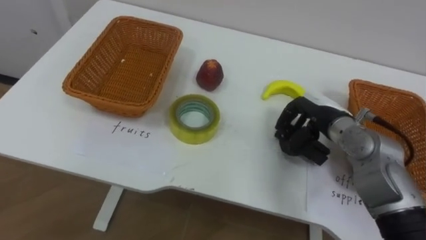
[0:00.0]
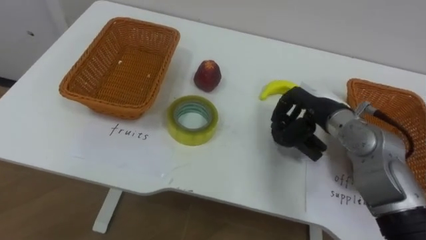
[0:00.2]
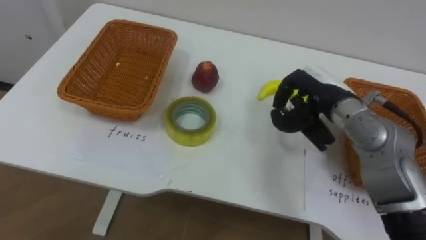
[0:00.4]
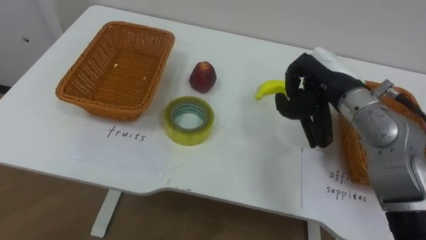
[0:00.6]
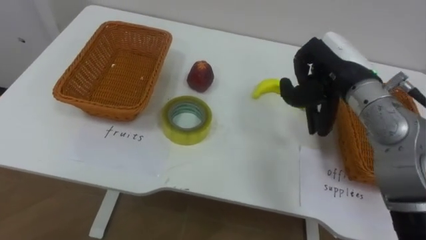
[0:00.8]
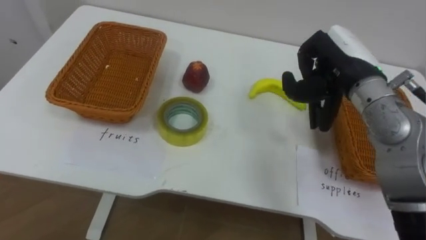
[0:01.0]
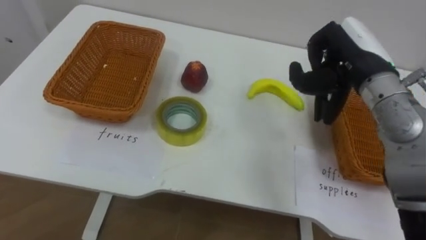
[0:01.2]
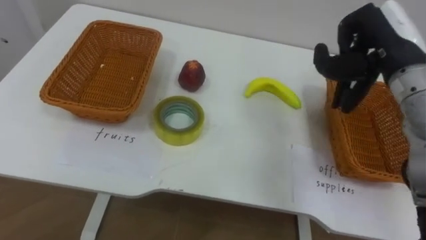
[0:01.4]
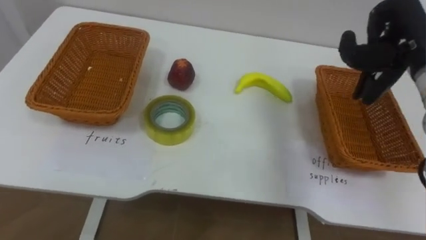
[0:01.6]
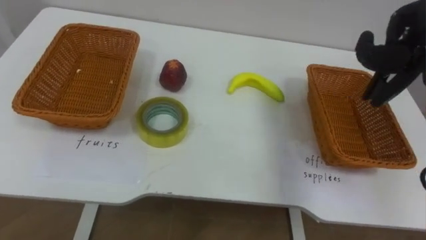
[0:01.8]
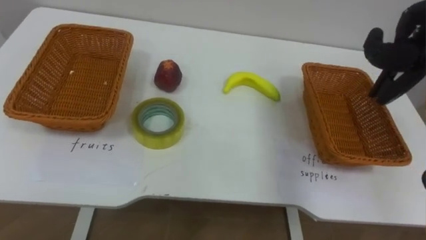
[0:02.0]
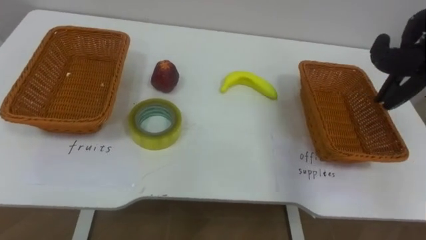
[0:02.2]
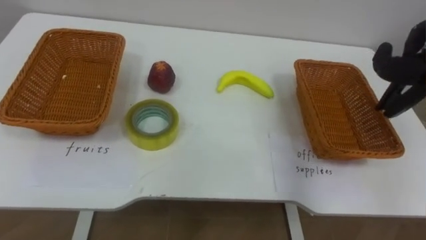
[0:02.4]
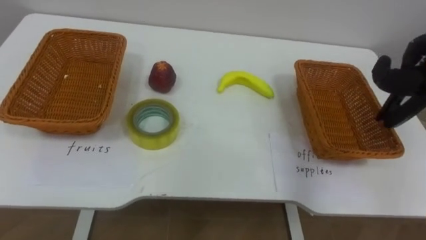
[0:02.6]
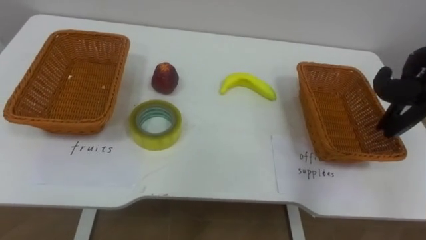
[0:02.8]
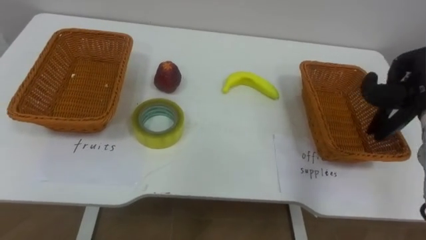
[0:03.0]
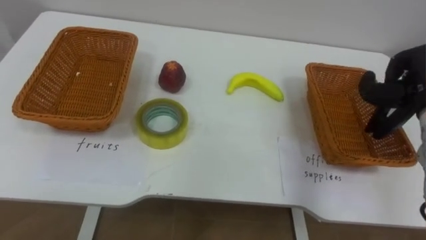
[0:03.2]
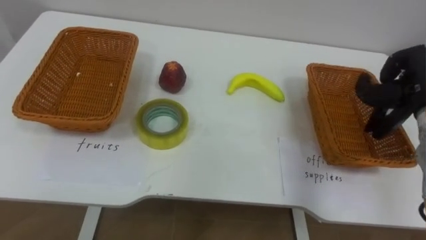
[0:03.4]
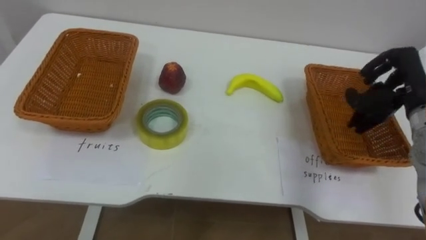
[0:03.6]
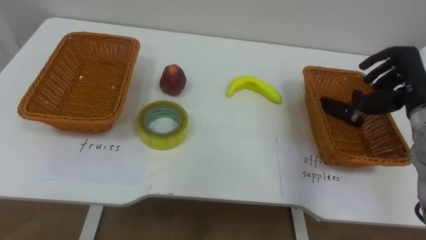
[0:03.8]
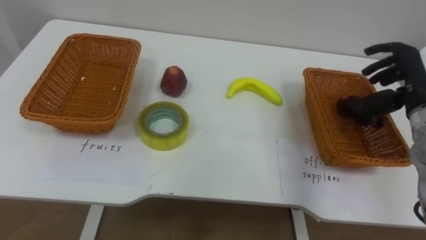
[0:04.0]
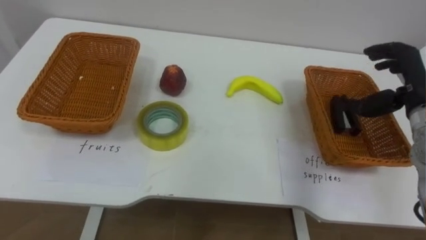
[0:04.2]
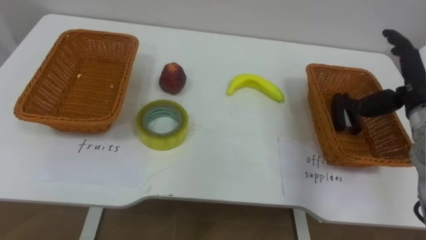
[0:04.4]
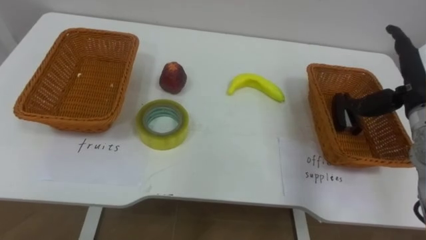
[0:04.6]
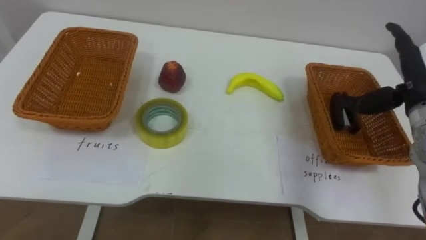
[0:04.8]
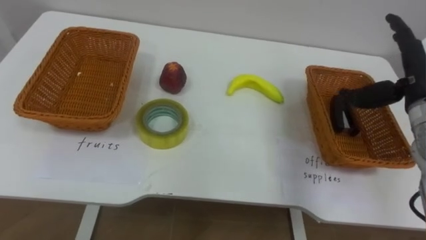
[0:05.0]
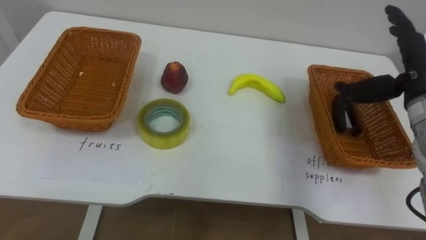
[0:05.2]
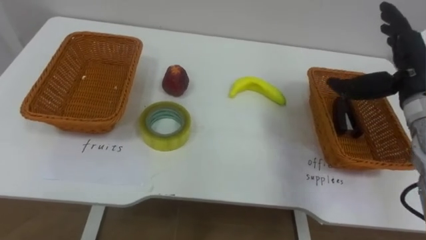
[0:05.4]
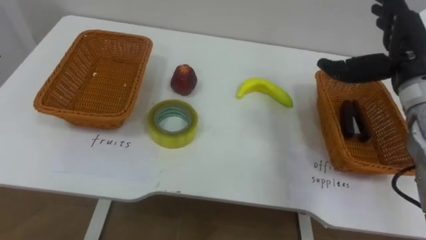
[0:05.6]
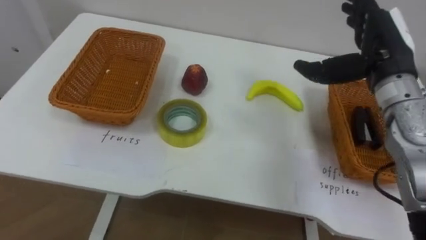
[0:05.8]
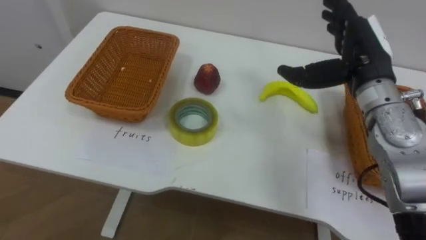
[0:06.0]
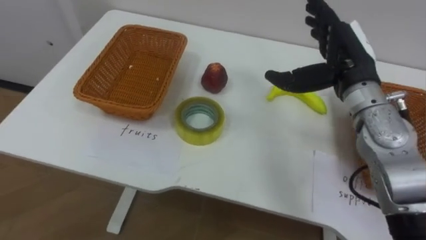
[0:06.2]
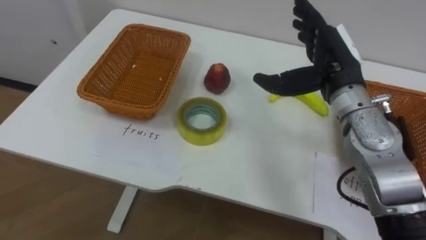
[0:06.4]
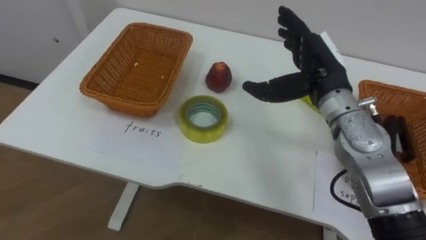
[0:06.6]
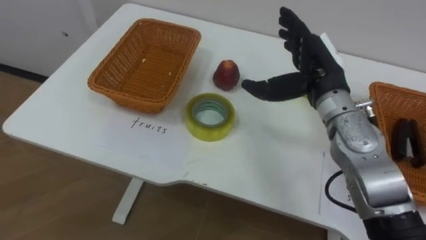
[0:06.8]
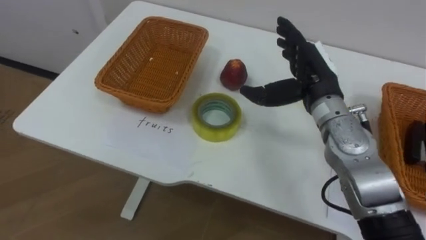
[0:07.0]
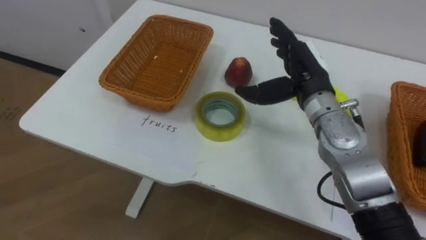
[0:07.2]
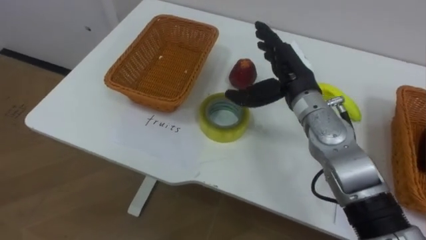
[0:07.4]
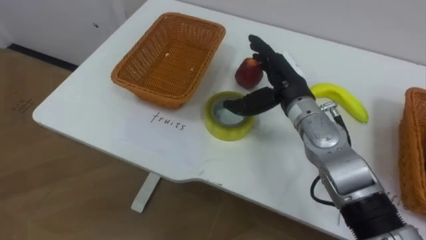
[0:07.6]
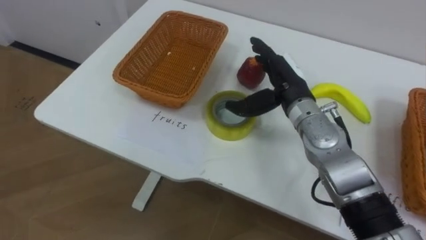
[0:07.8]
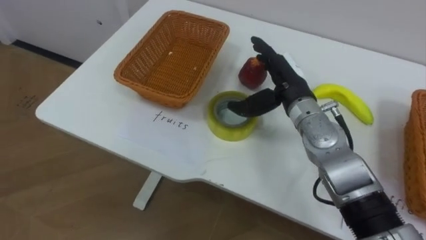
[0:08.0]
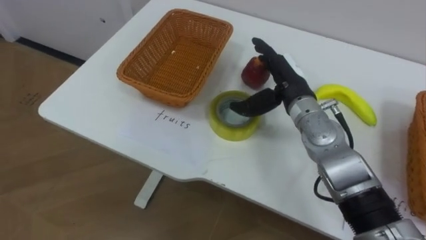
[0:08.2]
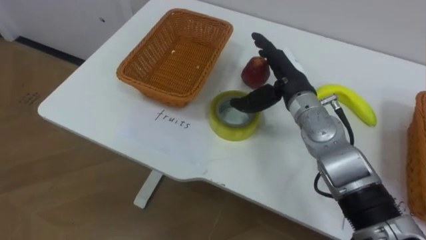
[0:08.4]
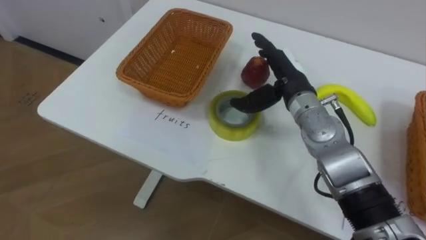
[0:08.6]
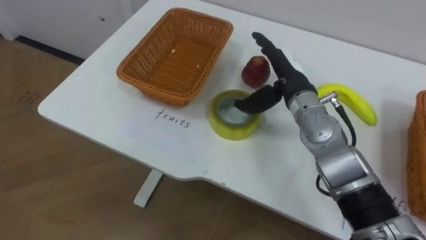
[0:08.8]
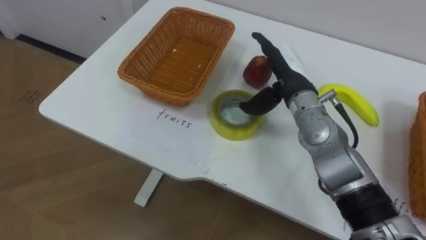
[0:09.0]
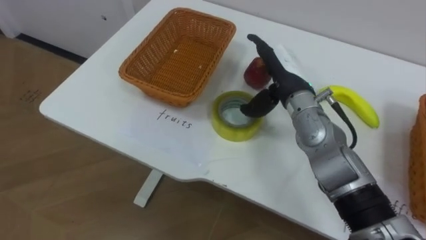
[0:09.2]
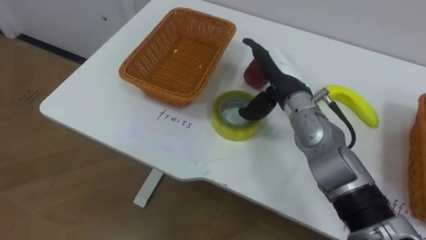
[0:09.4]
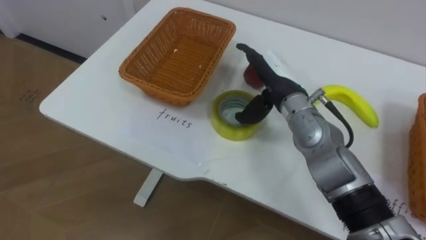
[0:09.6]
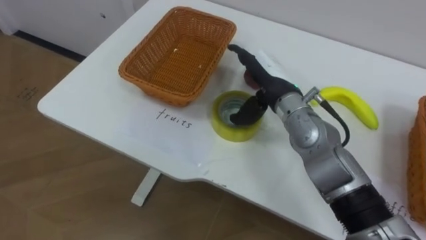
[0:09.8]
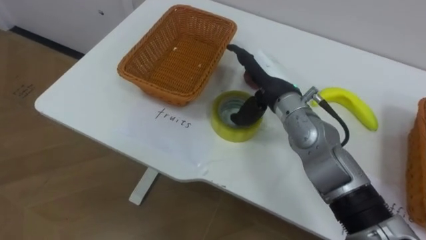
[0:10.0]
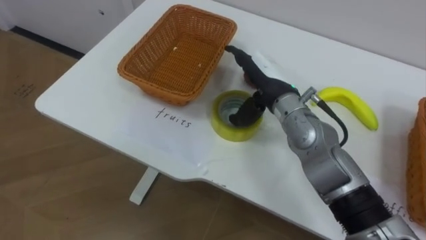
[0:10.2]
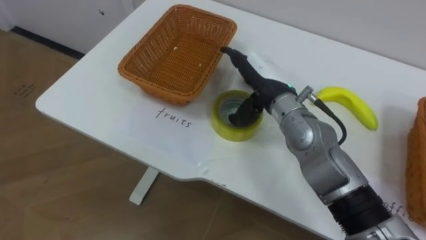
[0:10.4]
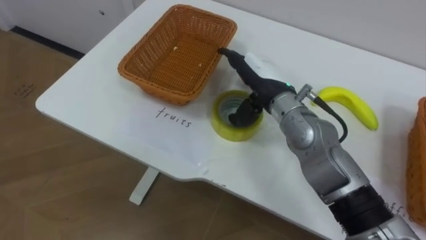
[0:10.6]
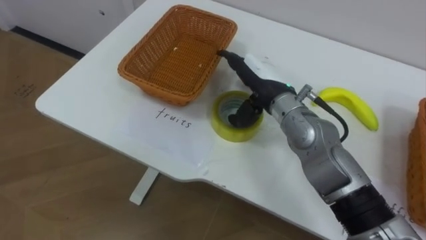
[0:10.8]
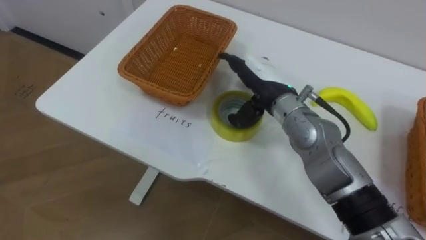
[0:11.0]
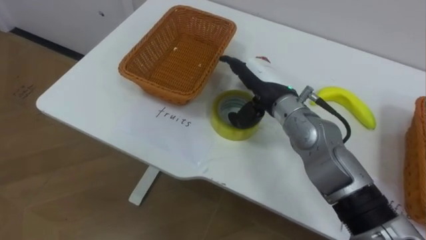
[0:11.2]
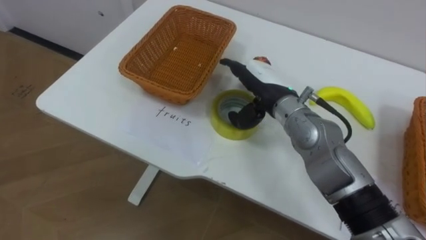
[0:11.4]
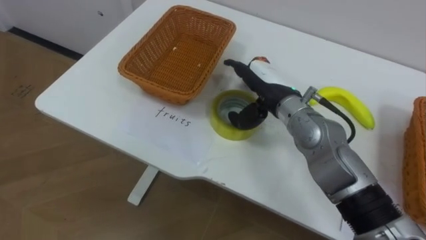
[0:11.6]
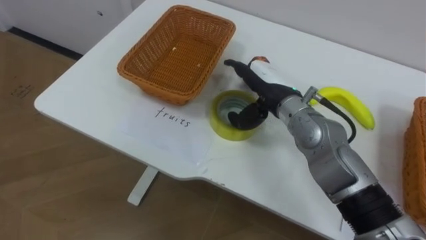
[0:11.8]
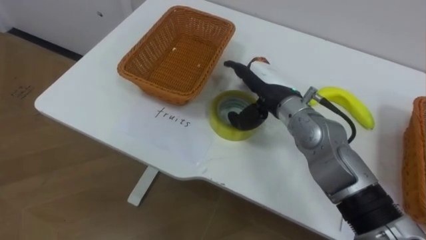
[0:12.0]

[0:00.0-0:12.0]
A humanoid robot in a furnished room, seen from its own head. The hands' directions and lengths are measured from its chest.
Task of the whole recording: Separate the items on the table and place them into the two baskets.
0:00.0 to 0:01.6: The right hand is displaced upward and to the right by roughly 20 cm, and closes.
0:04.4 to 0:06.0: The right hand shifts approximately 10 cm to the left.
0:06.0 to 0:07.6: The right hand moves to the left and downward, roughly 10 cm.

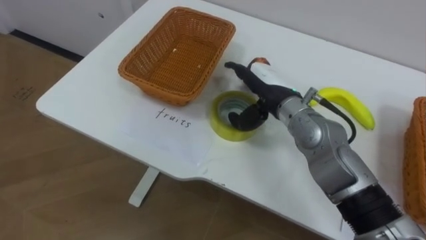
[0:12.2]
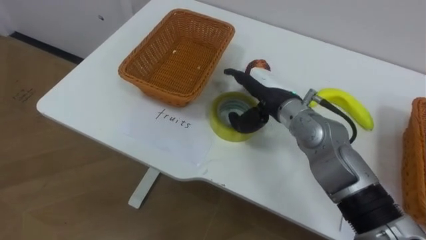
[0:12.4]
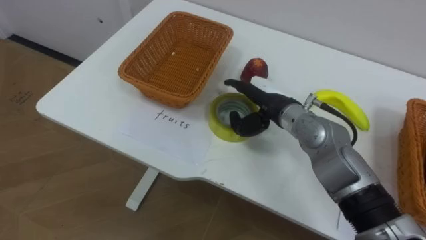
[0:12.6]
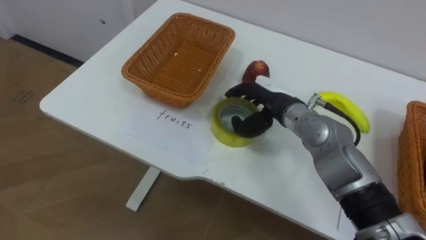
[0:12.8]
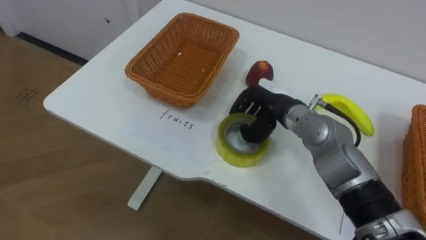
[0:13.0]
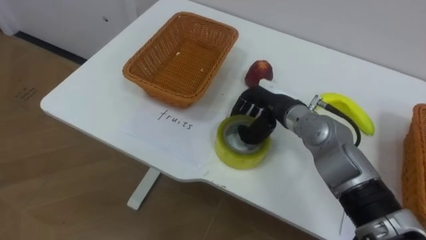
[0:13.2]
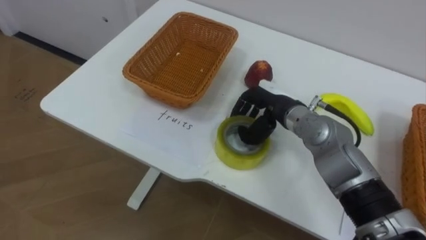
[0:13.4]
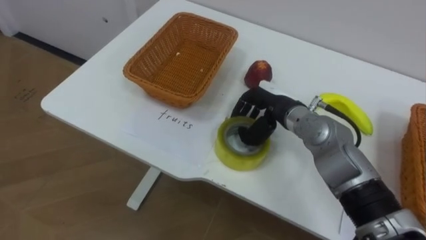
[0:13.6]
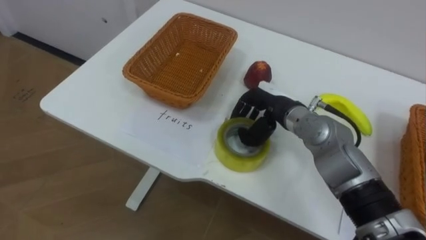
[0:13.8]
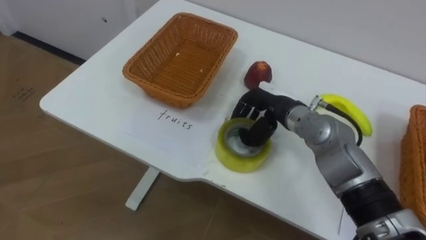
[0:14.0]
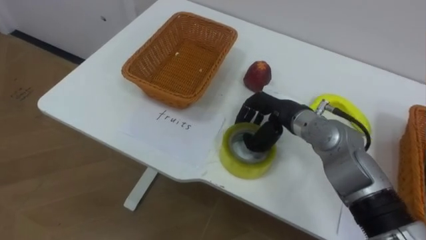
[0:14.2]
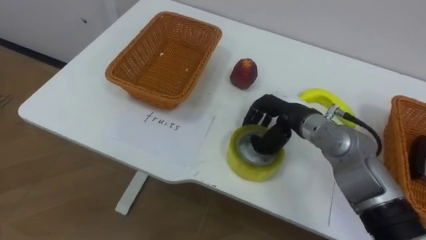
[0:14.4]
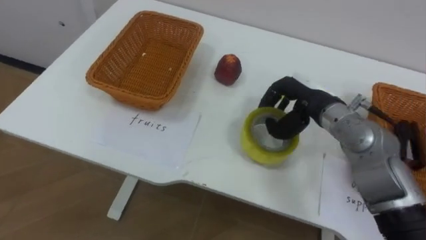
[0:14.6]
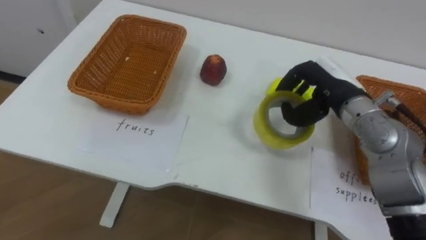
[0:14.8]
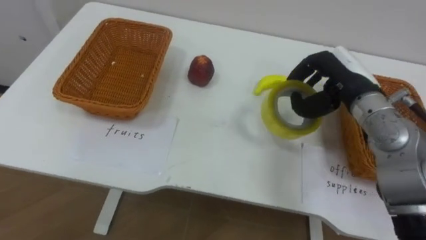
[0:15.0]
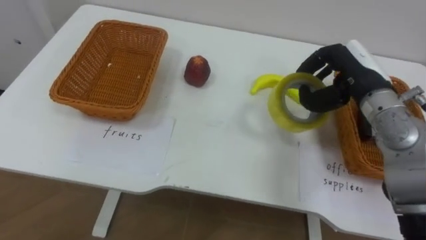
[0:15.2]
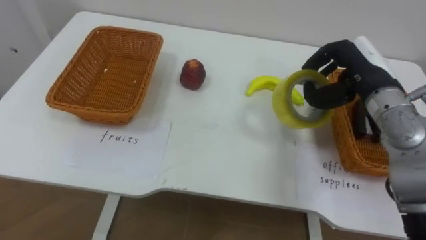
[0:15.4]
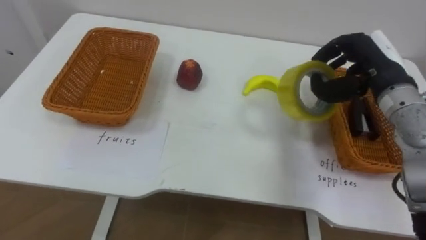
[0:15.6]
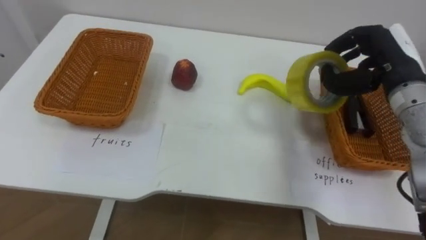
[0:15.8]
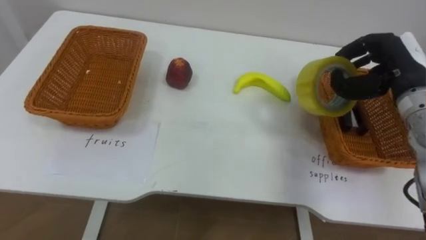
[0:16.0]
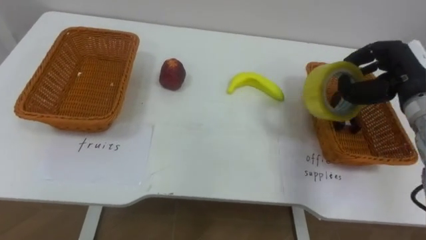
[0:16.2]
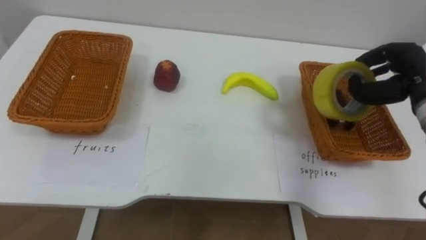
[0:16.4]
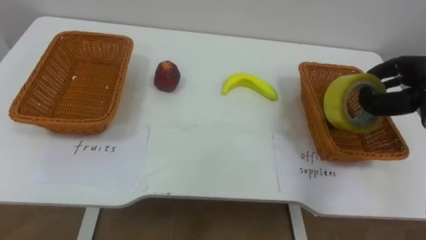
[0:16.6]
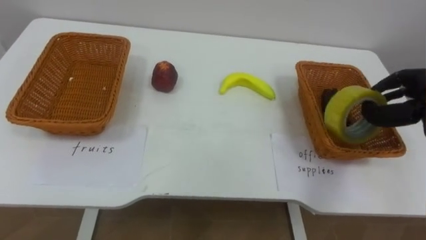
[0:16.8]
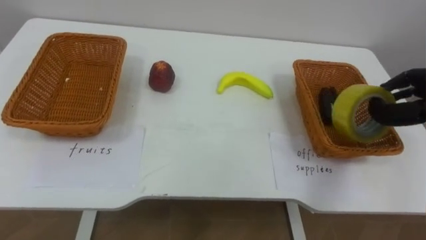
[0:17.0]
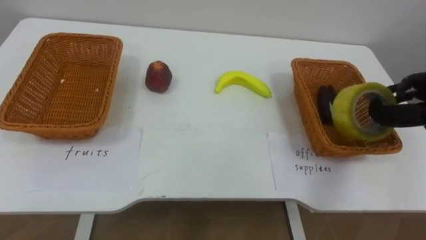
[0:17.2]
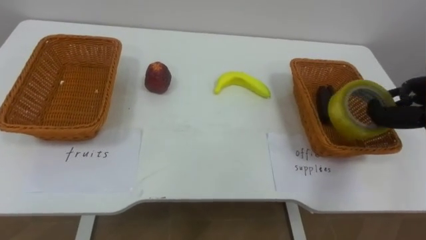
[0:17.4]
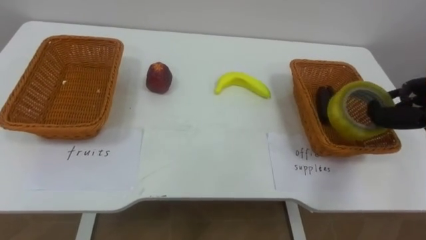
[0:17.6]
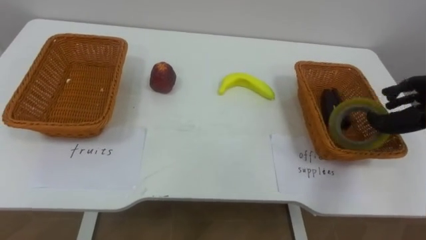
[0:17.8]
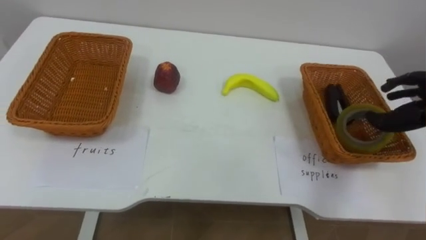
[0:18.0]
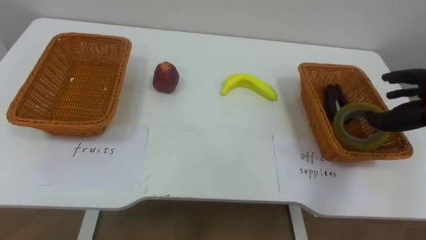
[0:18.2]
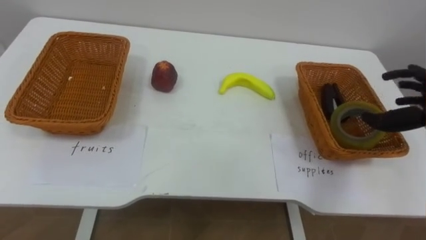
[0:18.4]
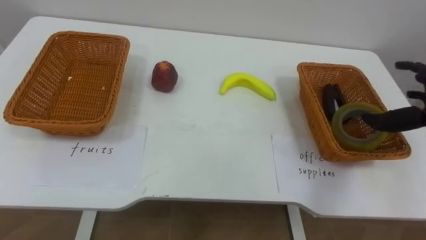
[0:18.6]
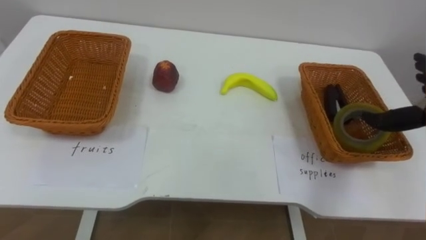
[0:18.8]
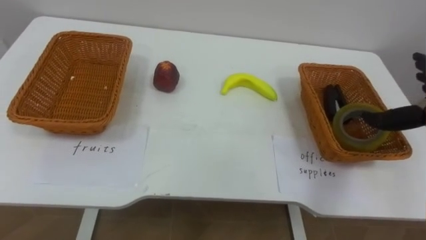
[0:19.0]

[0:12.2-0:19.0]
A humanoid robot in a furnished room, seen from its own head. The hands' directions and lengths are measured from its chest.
Task of the whole recording: Separate the items on the table and place them into the two baskets.
0:12.2 to 0:13.6: The right hand closes.
0:13.6 to 0:15.0: The right hand goes some 15 cm to the right and upward.
0:15.0 to 0:16.2: The right hand moves to the right, approximately 10 cm.
